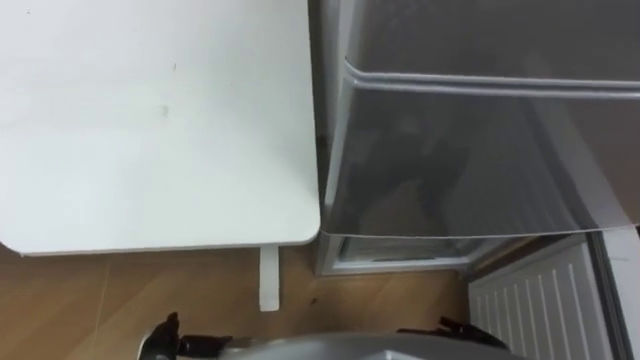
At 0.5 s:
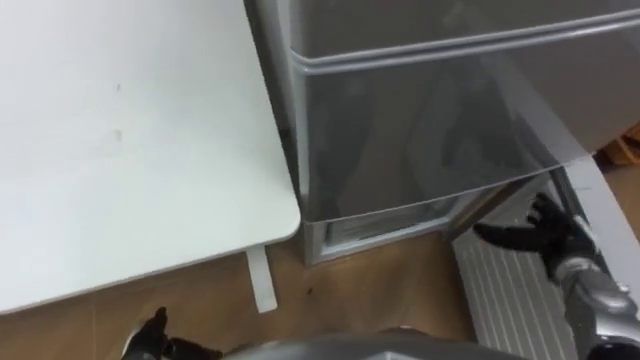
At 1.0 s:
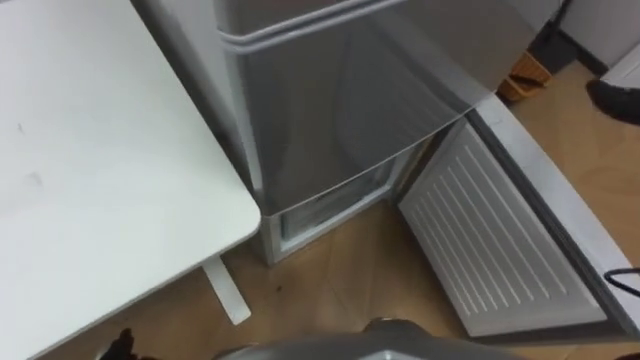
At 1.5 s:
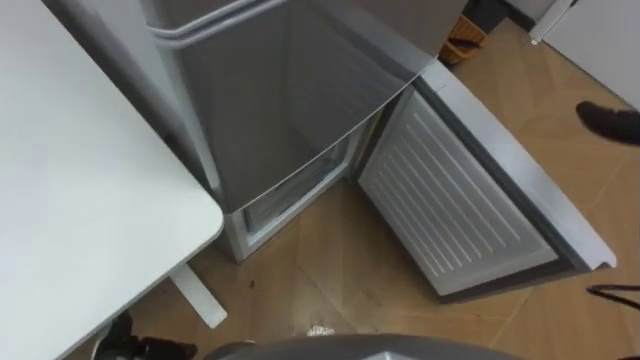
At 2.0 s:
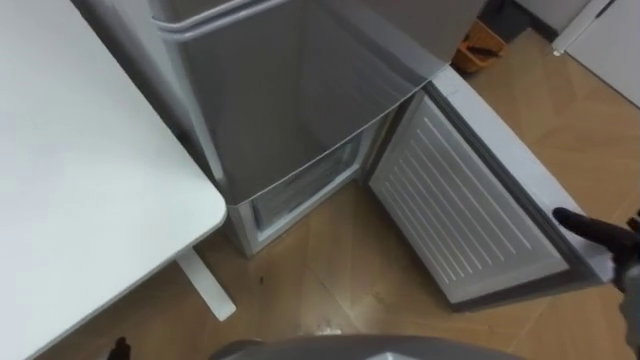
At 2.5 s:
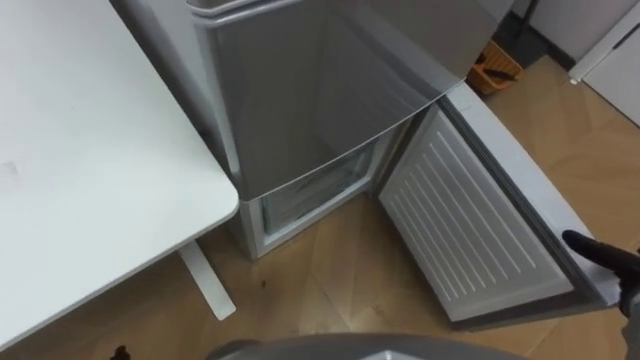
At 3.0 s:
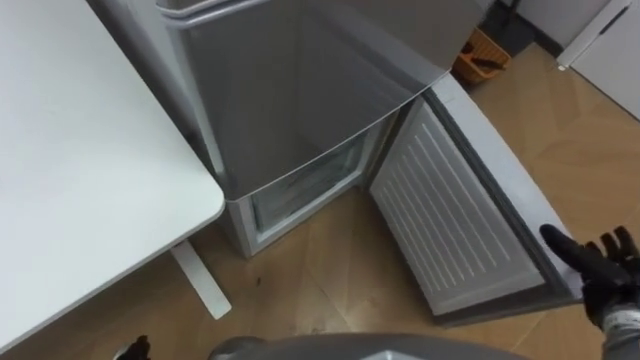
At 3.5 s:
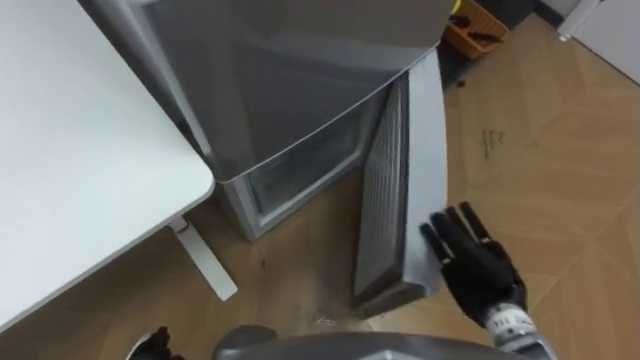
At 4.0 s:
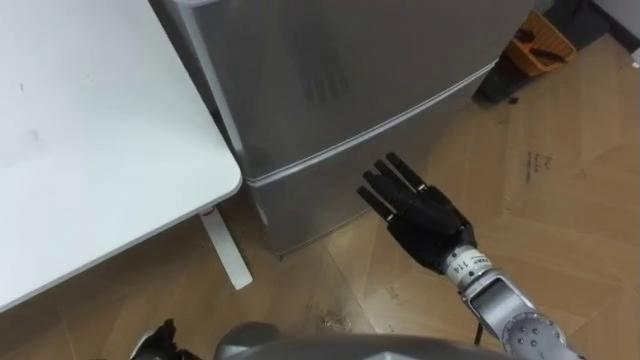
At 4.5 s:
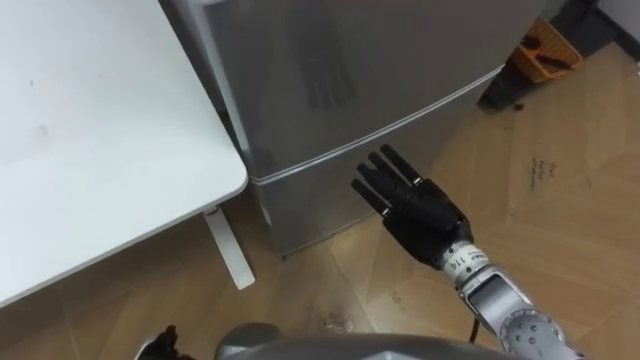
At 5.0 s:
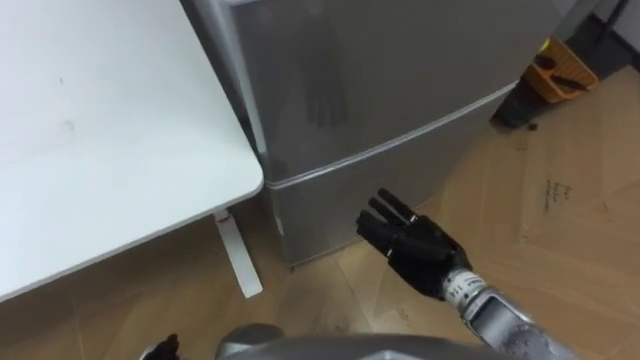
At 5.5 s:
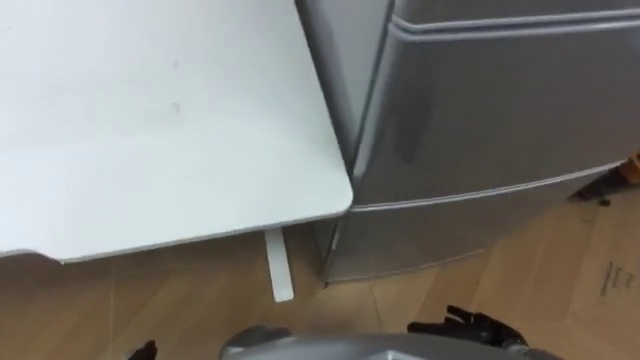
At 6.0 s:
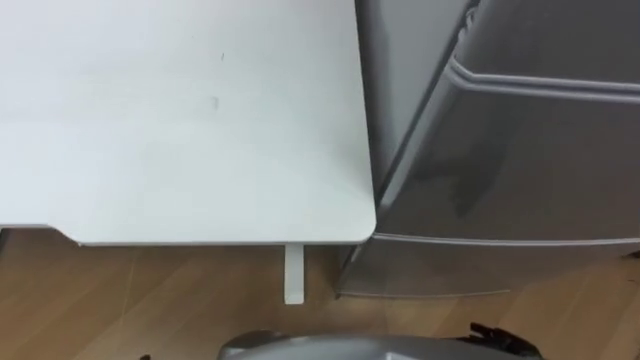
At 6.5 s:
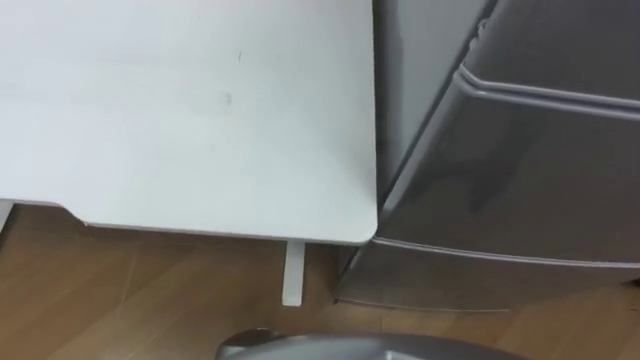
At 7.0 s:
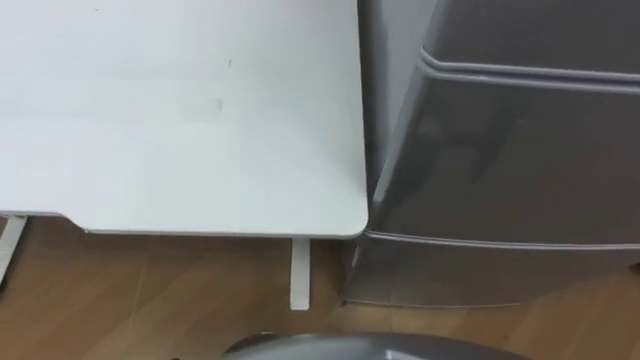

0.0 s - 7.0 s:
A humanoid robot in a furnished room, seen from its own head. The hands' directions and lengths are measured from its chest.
Task of the whole recording: Place the drink on the table on the bottom shelf of the refrigerator, then close the drawer and the refrigerator door.
0.0 s - 2.0 s: The robot rotates about 30 degrees to its right.
2.0 s - 3.5 s: The right hand goes approximately 20 cm to the left.
3.5 s - 5.0 s: The right hand is displaced to the left by roughly 10 cm.
5.0 s - 7.0 s: The robot's body swings about 35 degrees to its left.

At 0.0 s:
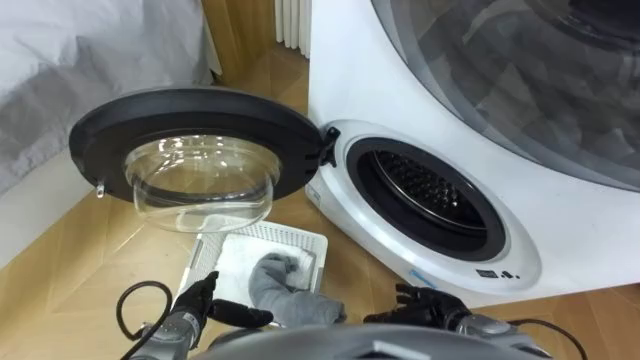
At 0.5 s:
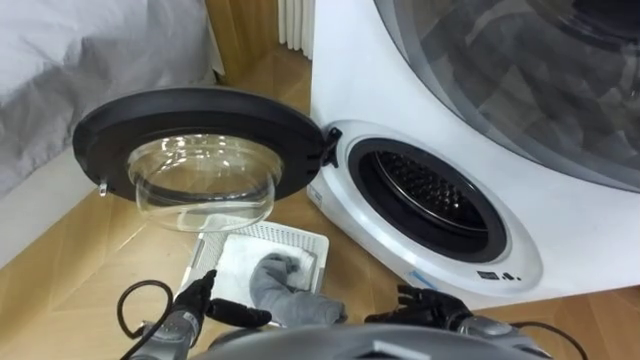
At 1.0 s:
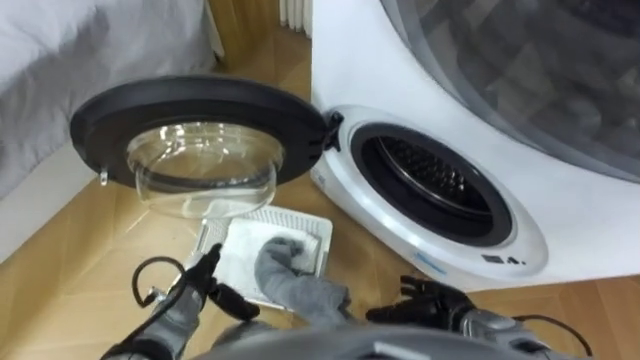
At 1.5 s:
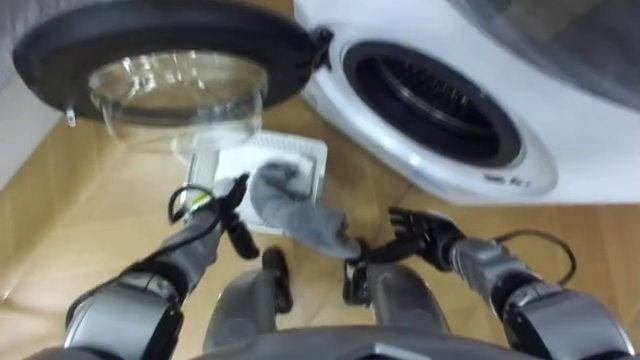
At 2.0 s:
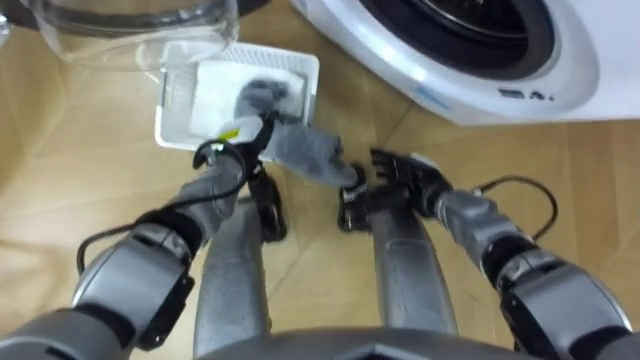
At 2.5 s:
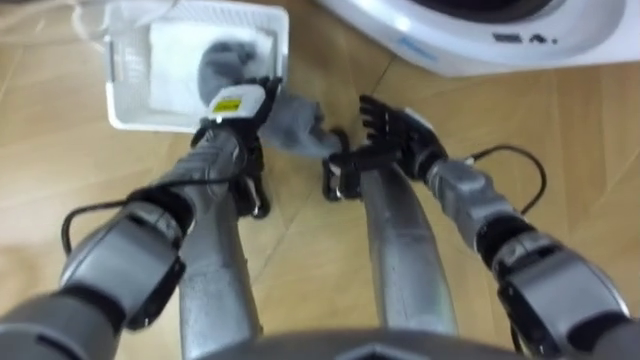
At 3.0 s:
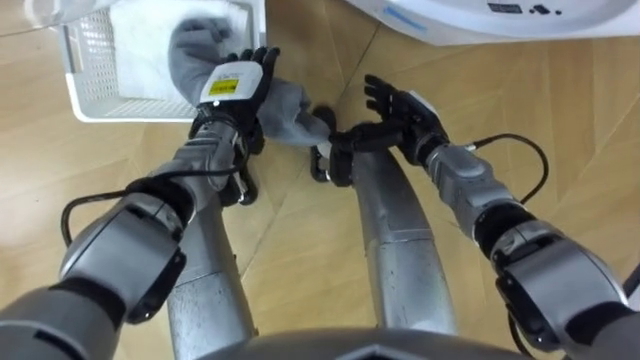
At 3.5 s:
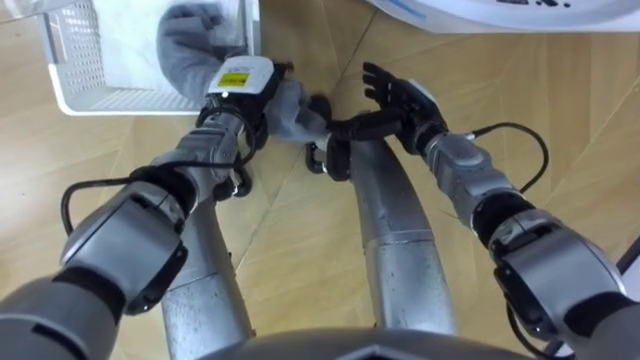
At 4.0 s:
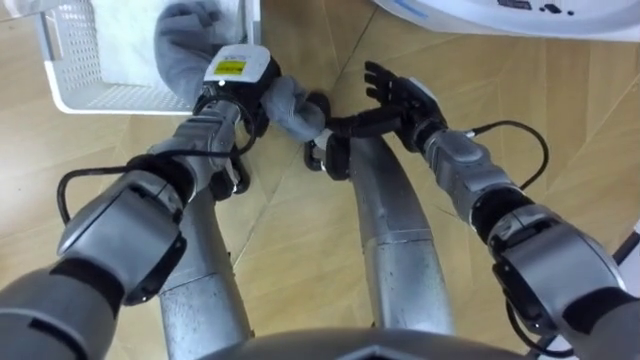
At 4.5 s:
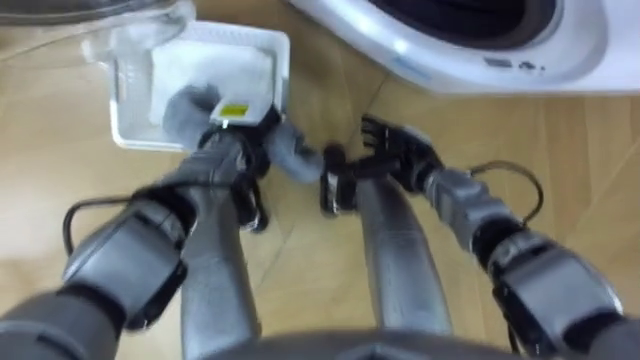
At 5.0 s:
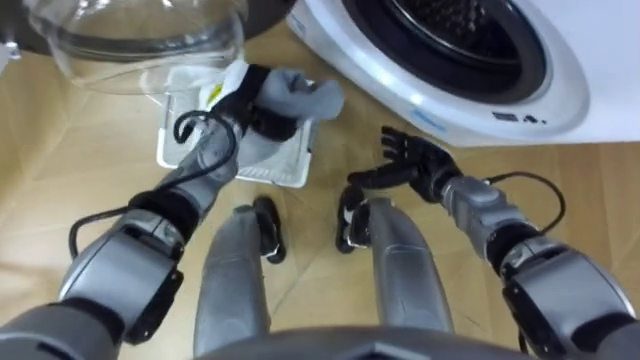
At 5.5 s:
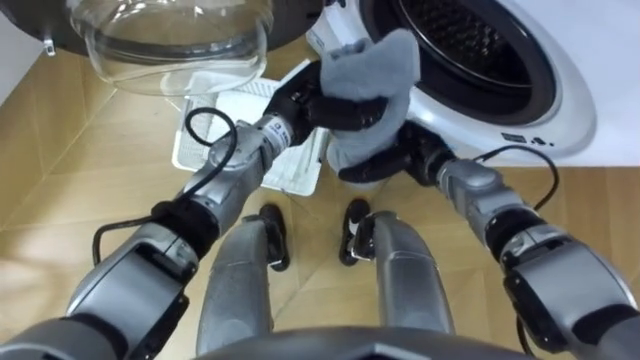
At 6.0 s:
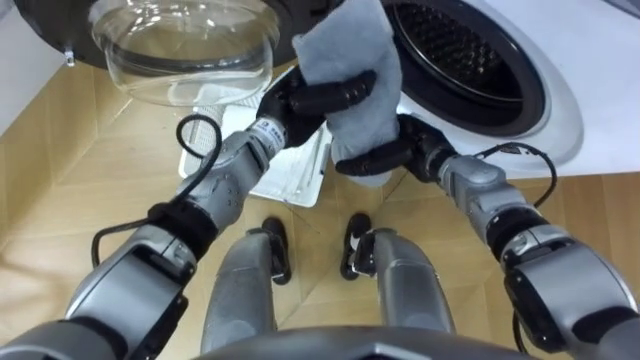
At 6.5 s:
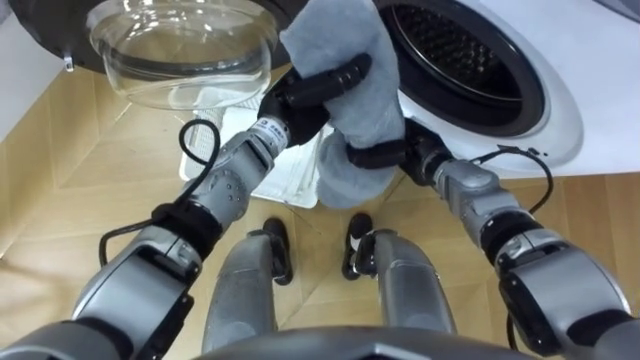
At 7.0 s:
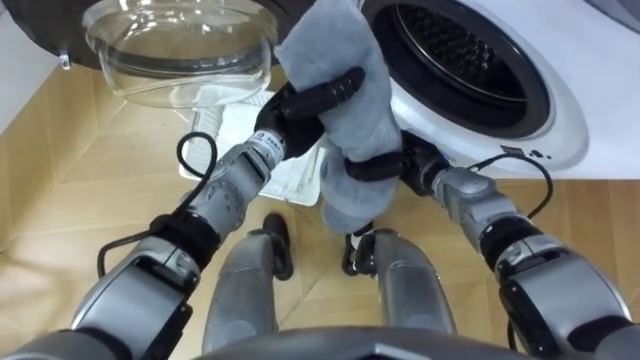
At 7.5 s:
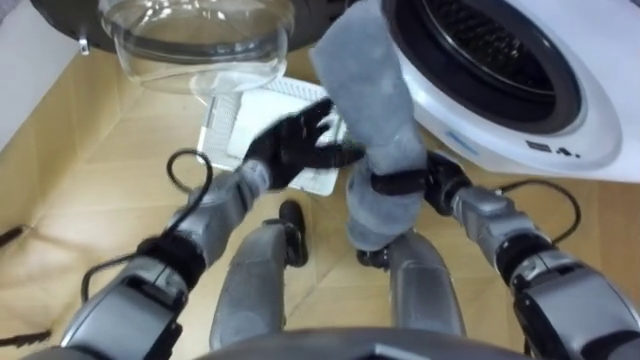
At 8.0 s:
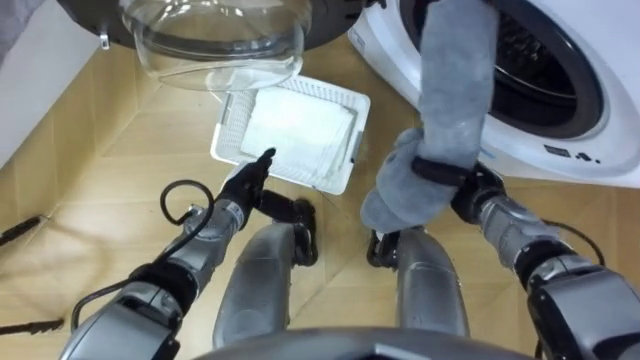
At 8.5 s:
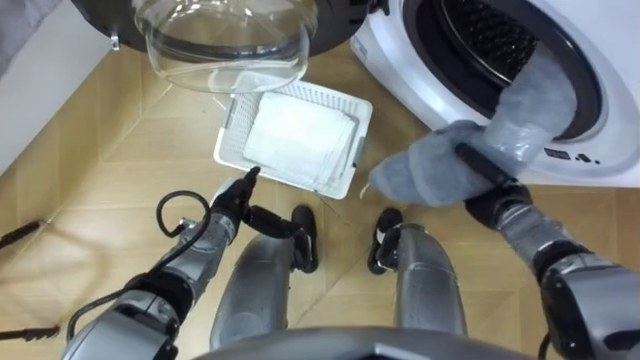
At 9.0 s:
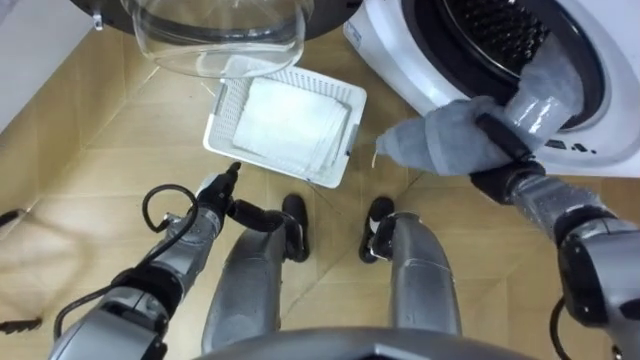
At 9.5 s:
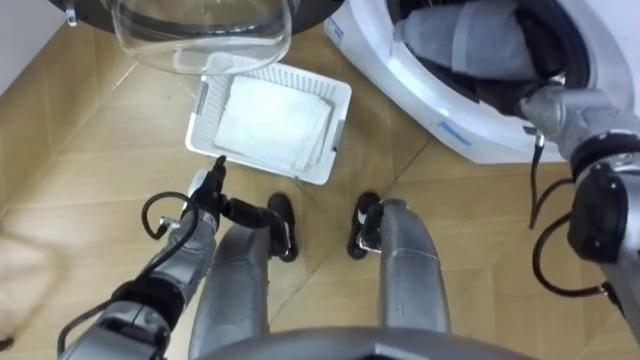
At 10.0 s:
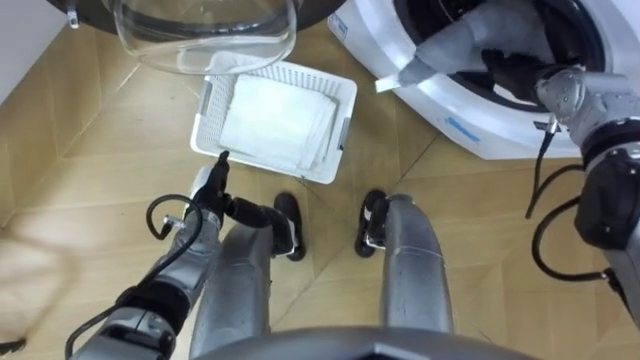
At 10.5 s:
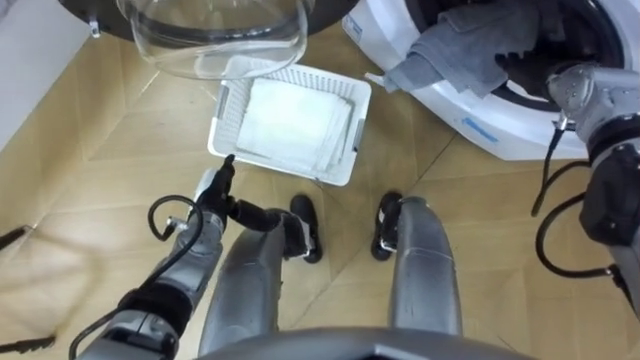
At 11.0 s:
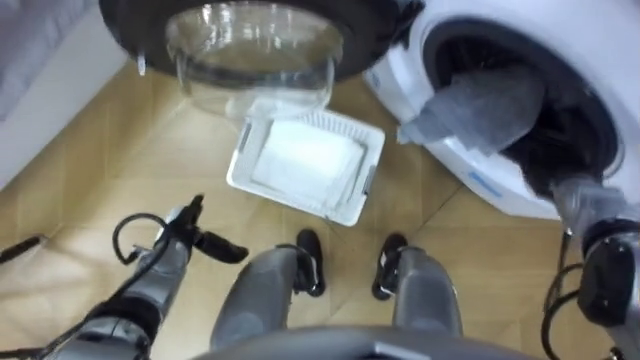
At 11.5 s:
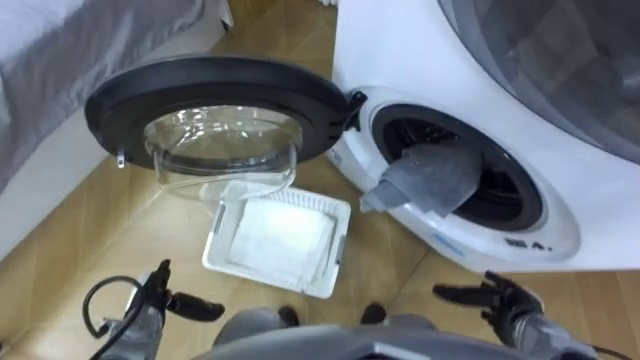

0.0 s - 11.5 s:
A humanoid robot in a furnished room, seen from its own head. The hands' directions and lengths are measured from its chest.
Task of the whole recording: Take the towel from the basket and put it into the washing machine.
2.0 s - 4.0 s: The left hand moves upward and forward, approximately 10 cm, and closes its fingers. Meanwhile the right hand moves forward and upward, approximately 10 cm.
4.0 s - 6.0 s: The left hand is displaced to the right by roughly 10 cm.
6.0 s - 7.5 s: The right hand changes place by some 5 cm, and closes up. The left hand shifts roughly 5 cm downward, and opens.
7.5 s - 9.5 s: The right hand heads upward, to the right and forward, covering some 15 cm. Meanwhile the left hand travels to the left, downward and backward by some 15 cm.
9.5 s - 11.5 s: The left hand moves backward, to the left and downward, about 20 cm, while the right hand travels backward and downward by roughly 35 cm, and opens up.
